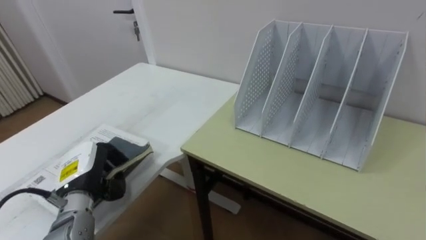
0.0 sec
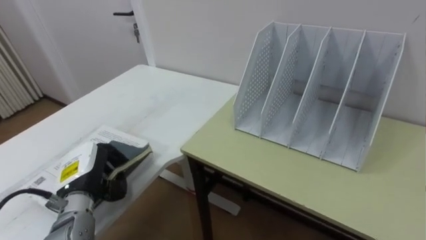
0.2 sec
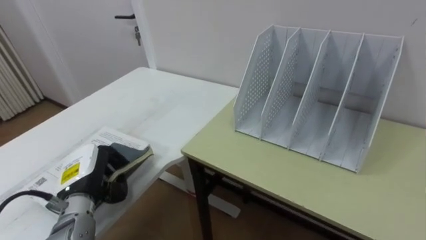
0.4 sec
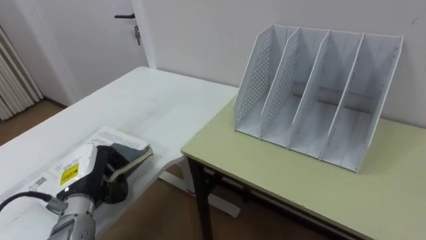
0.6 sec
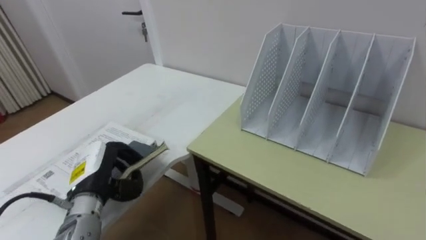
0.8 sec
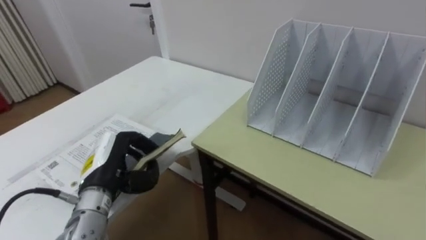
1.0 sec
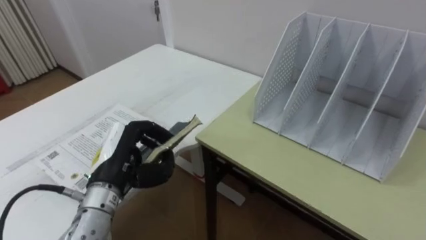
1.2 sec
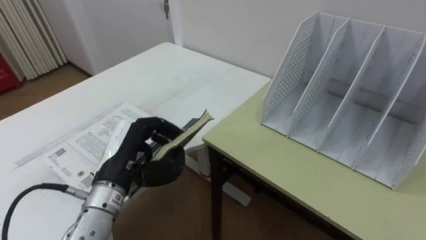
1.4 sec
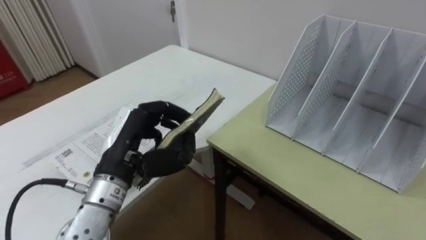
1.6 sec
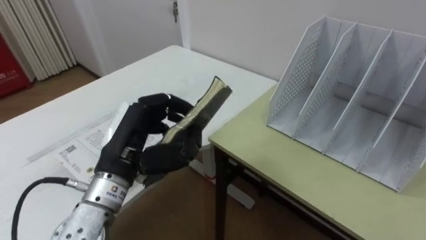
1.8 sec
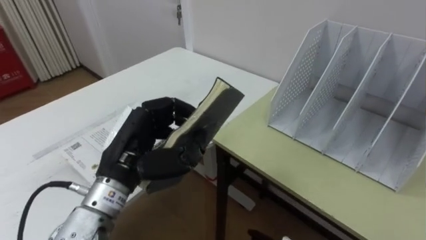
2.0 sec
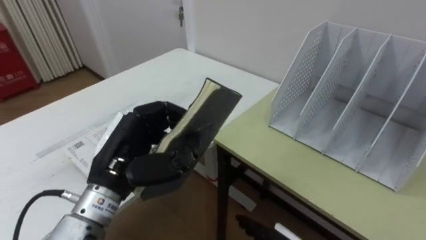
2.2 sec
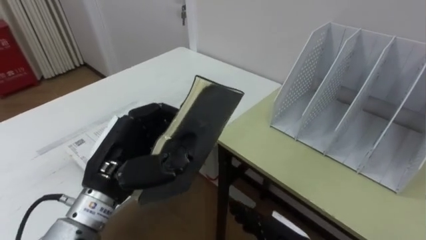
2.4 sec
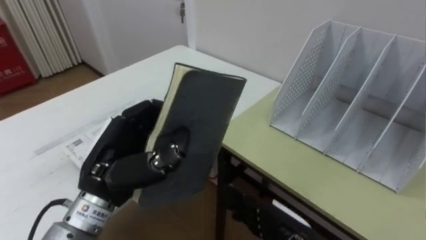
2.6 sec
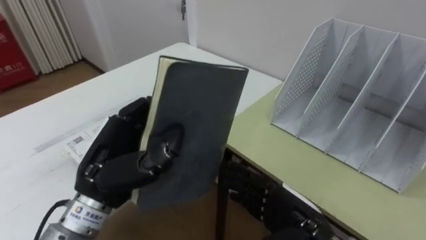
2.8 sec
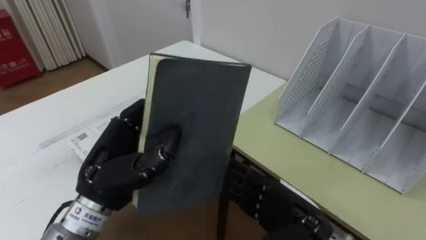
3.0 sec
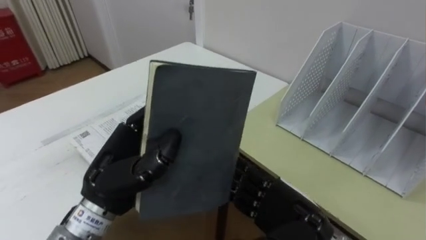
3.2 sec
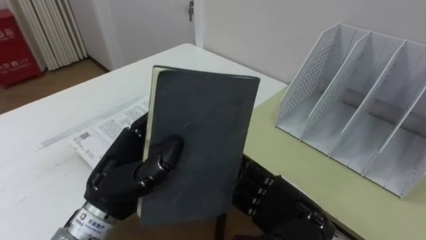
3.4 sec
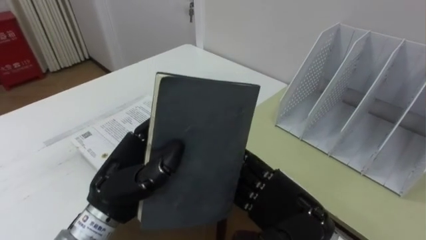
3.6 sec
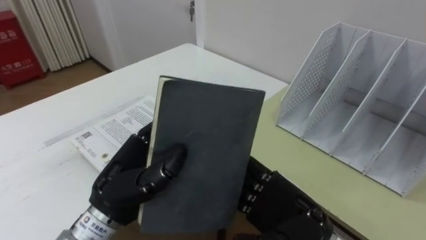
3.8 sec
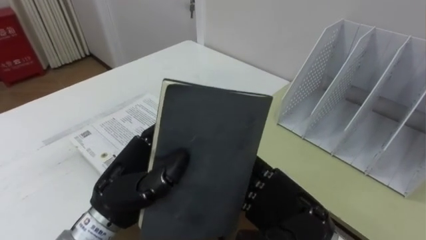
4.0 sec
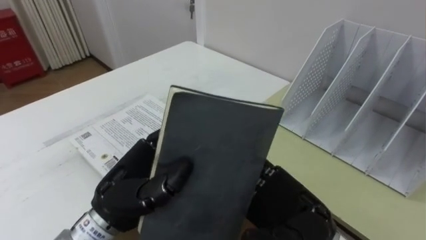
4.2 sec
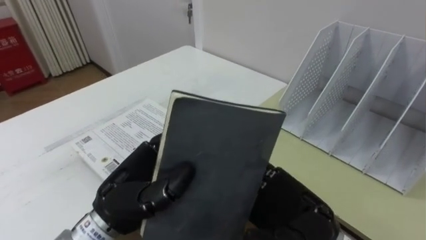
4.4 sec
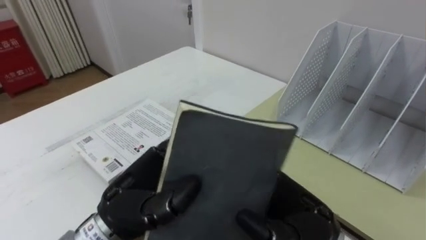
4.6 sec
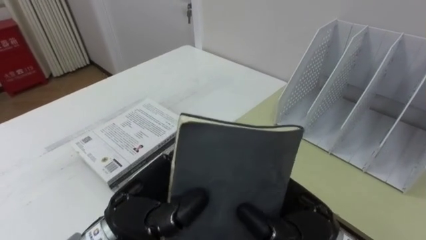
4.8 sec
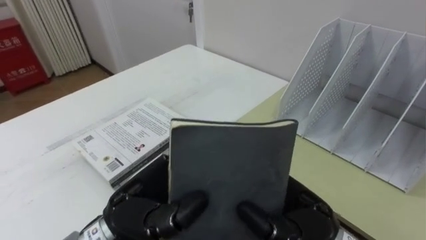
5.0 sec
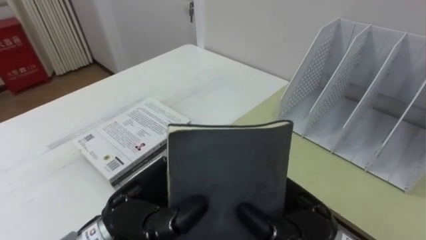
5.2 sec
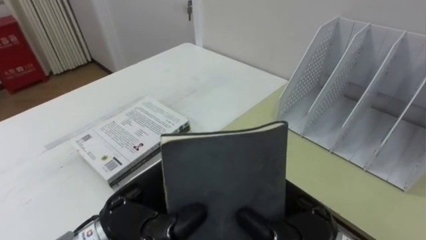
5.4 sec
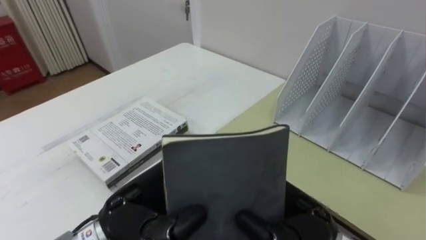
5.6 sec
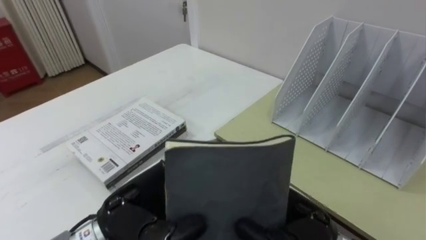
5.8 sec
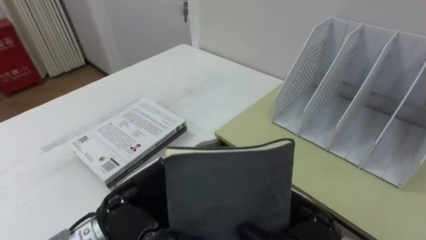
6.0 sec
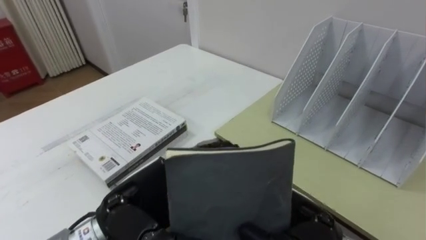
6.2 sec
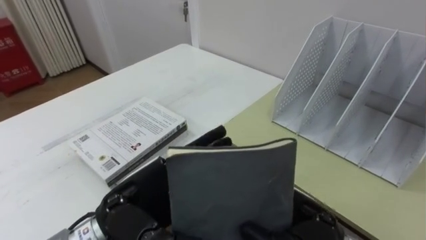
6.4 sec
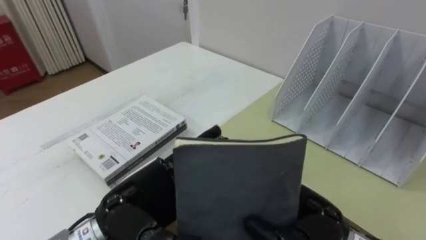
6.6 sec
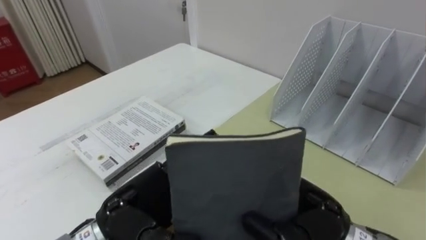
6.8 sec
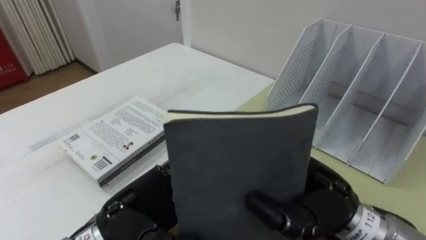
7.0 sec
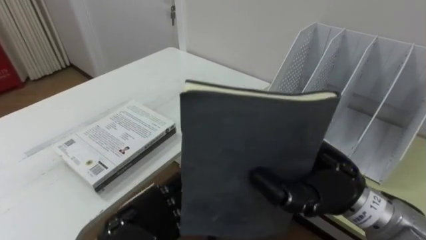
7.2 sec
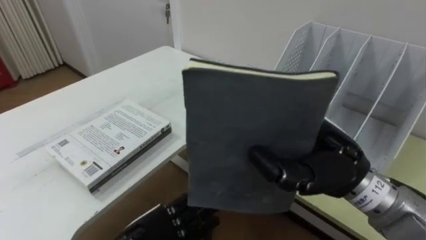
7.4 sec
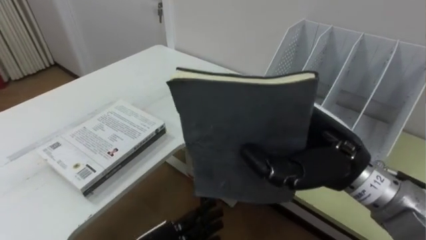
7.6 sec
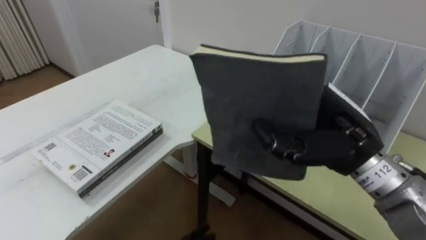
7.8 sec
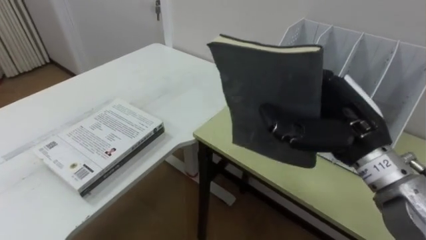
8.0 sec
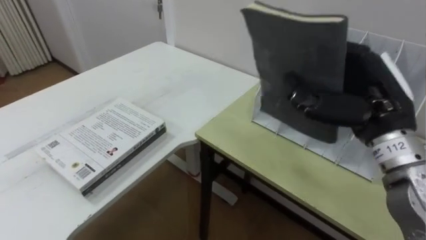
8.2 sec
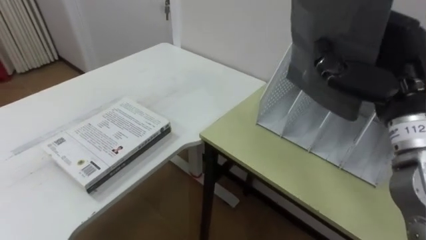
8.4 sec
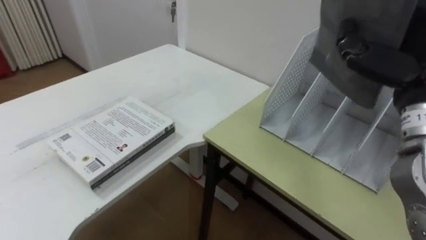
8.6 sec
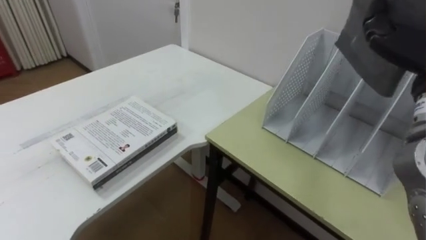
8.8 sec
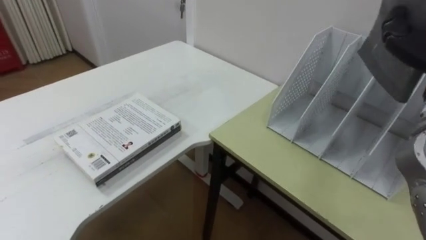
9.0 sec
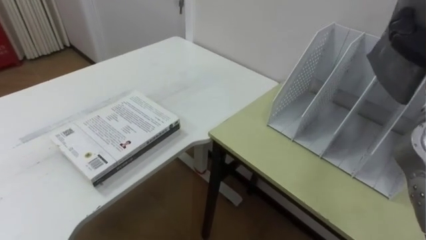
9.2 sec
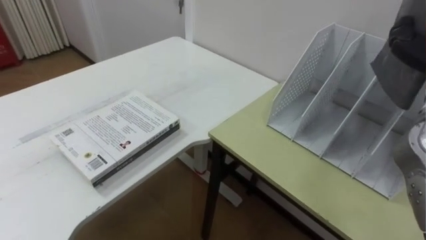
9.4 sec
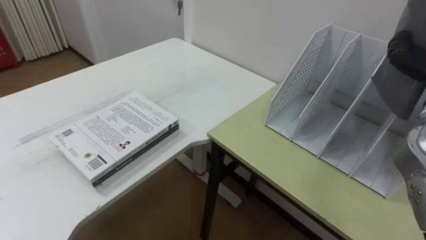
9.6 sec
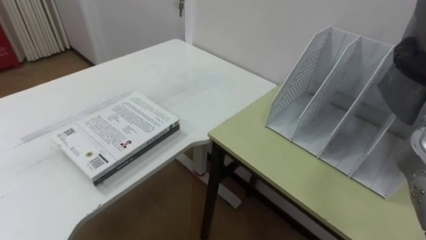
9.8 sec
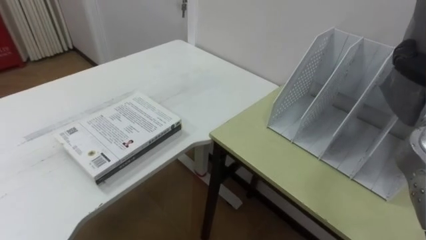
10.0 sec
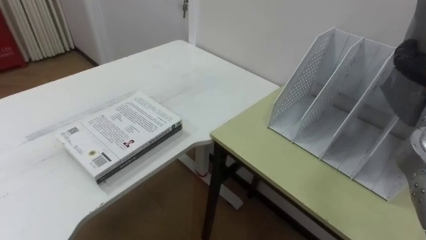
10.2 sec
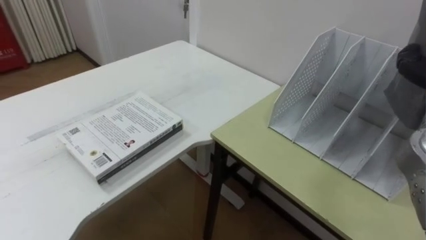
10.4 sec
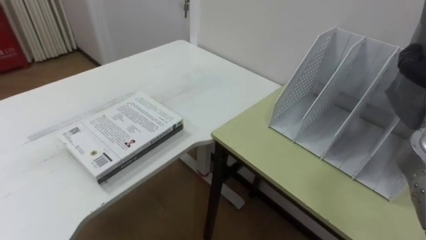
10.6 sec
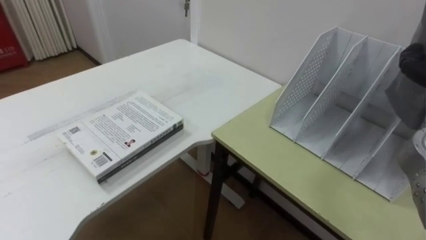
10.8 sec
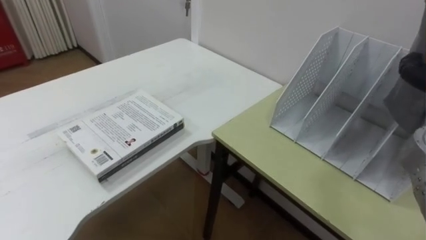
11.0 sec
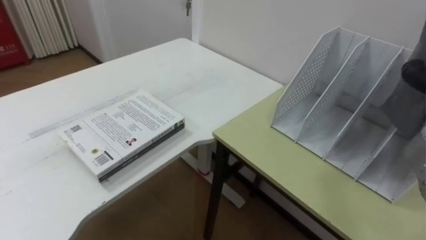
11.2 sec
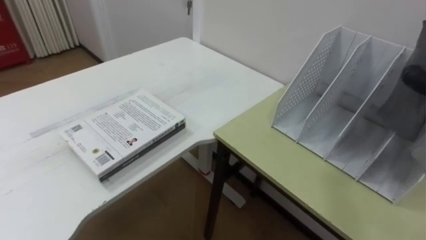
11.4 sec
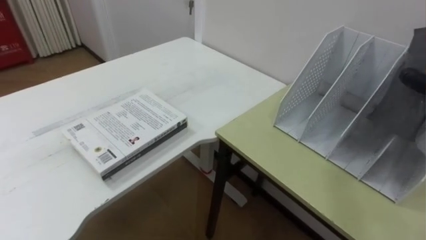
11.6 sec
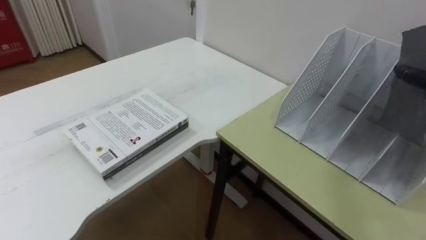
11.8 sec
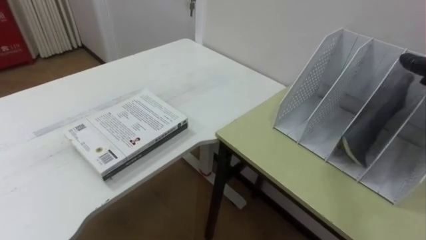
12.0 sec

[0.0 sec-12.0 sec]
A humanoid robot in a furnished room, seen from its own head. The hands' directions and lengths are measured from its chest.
Task of the whole recording: Put the books on the table onto the bookshelf.
0.0 sec to 1.6 sec: The left hand moves upward and to the right, roughly 15 cm.
3.0 sec to 4.4 sec: The right hand travels upward by roughly 5 cm.
4.4 sec to 6.0 sec: The right hand closes up.
6.0 sec to 7.6 sec: The right hand is displaced upward and forward by some 10 cm, while the left hand goes some 10 cm downward, and opens its fingers.

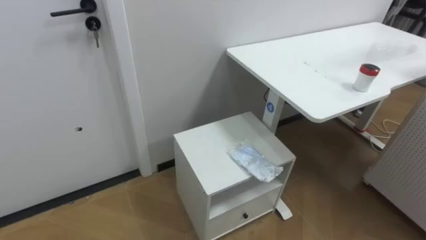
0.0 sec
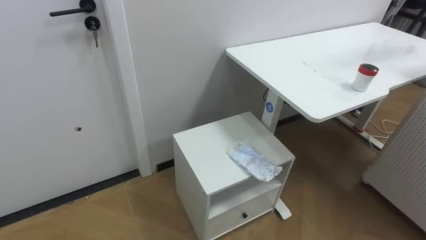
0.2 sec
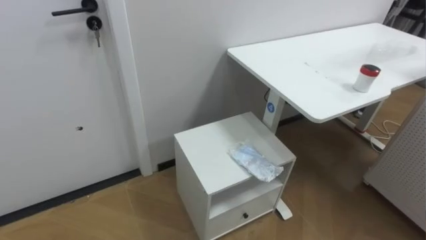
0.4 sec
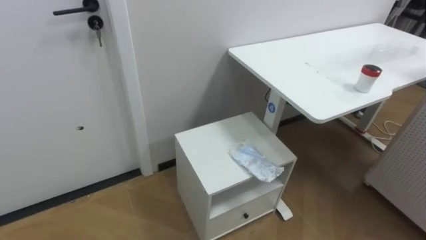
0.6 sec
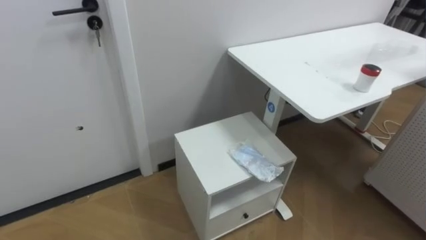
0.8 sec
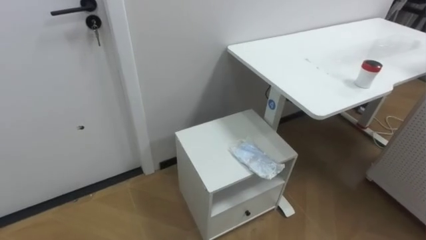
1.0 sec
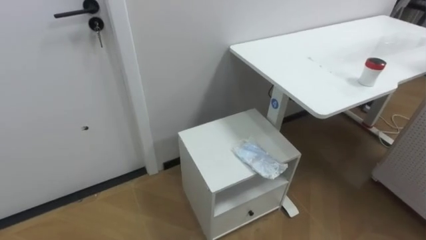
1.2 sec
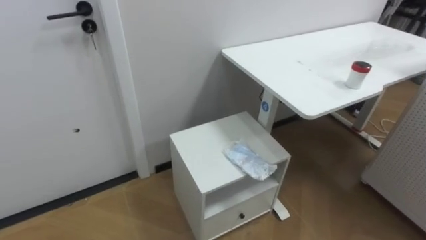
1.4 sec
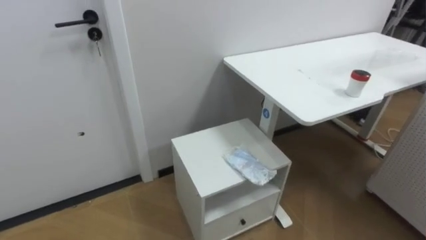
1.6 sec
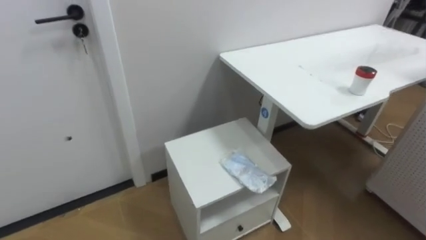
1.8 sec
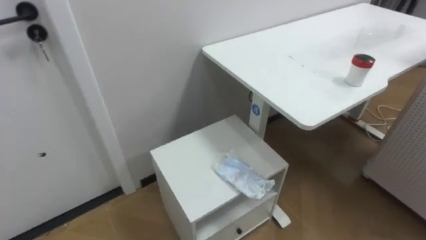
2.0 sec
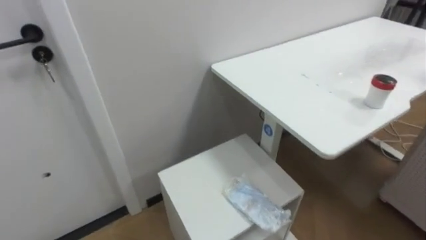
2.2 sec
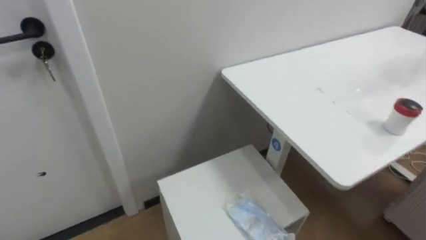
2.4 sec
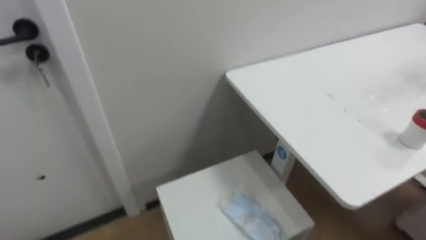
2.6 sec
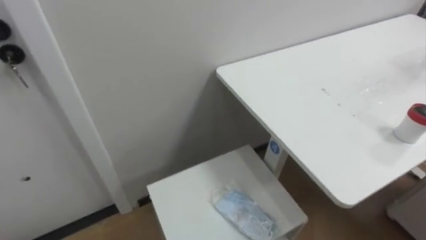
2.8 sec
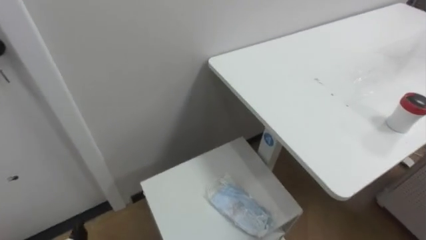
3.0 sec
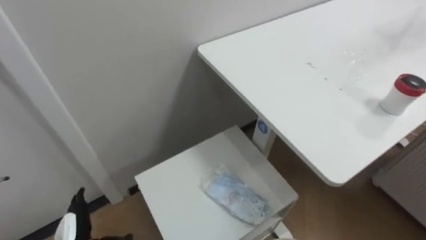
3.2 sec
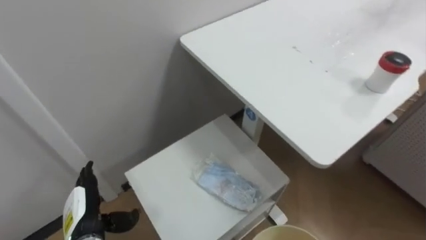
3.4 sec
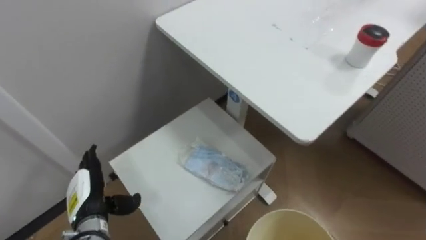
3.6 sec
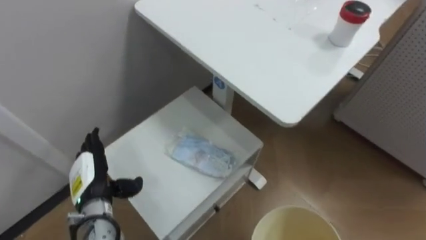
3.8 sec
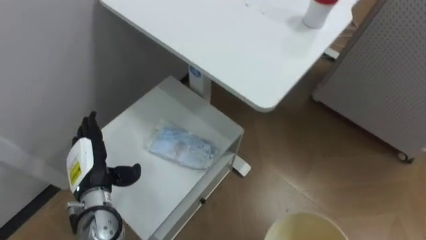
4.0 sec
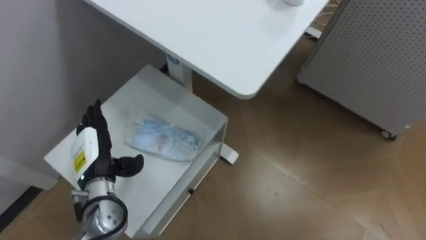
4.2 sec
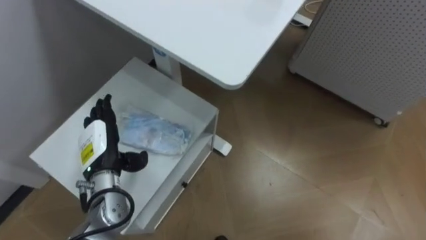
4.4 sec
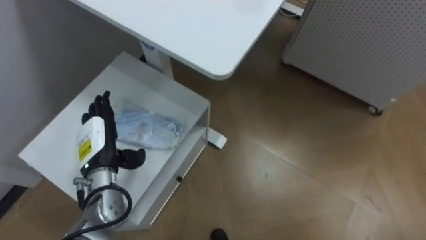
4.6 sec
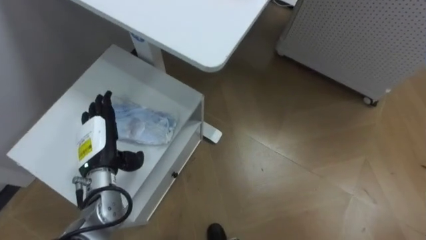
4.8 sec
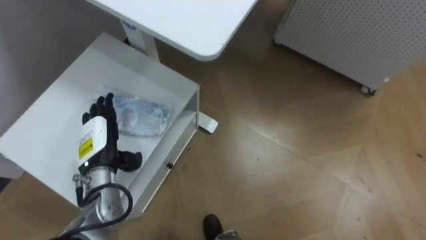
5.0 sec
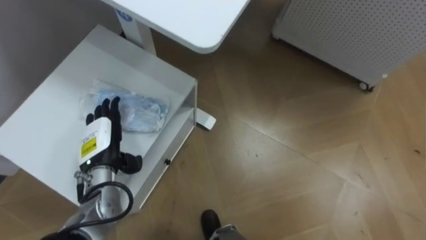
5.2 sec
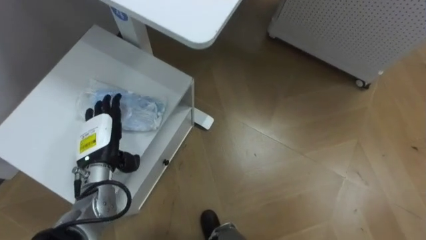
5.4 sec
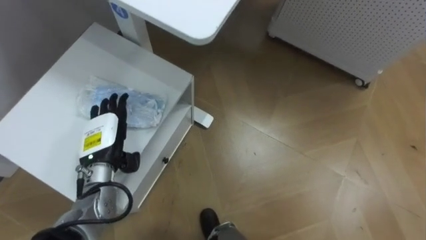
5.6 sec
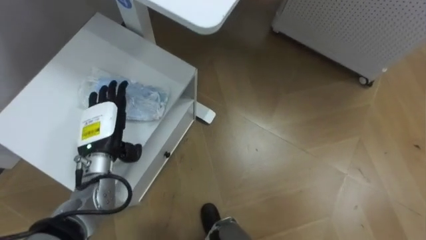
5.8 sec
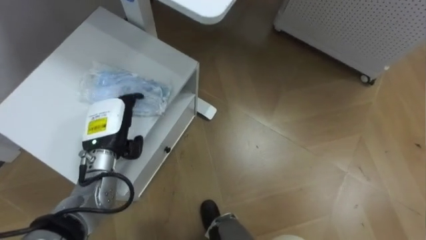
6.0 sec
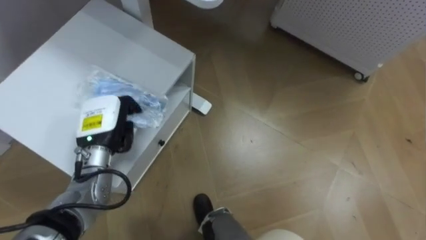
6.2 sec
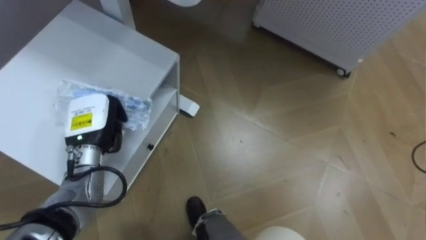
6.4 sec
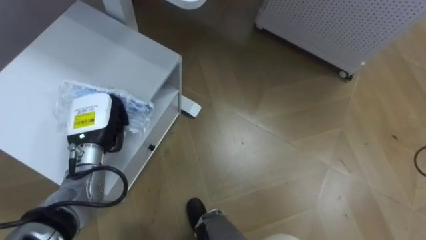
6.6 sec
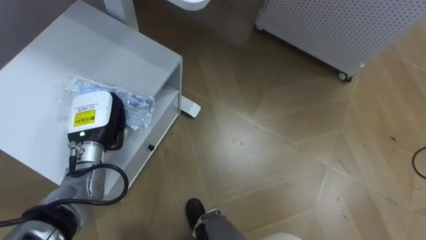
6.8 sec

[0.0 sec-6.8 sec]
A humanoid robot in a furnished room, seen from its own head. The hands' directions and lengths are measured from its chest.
Task of the whole recording: Pick up the light blue package, the candy box, and the dark blue package separately, and put them into the trash can held in your right hand.
4.0 sec to 5.4 sec: The left hand changes place by some 5 cm.
5.4 sec to 6.8 sec: The left hand closes.
